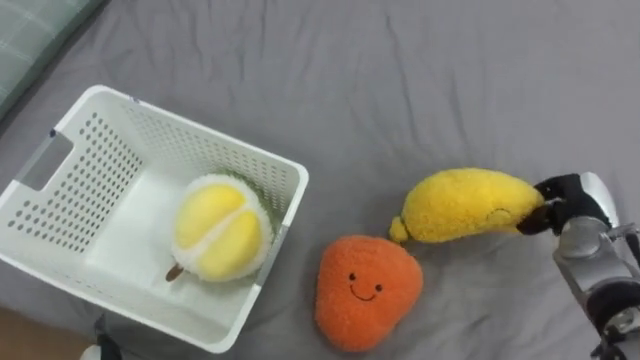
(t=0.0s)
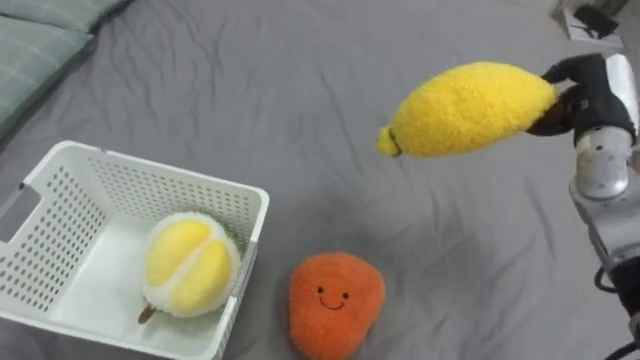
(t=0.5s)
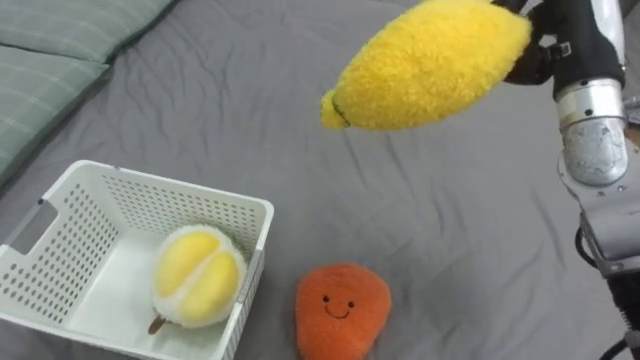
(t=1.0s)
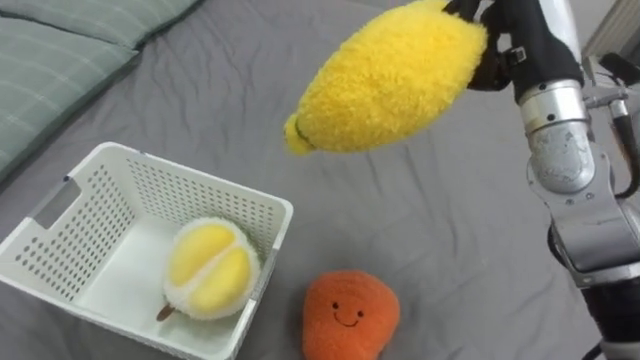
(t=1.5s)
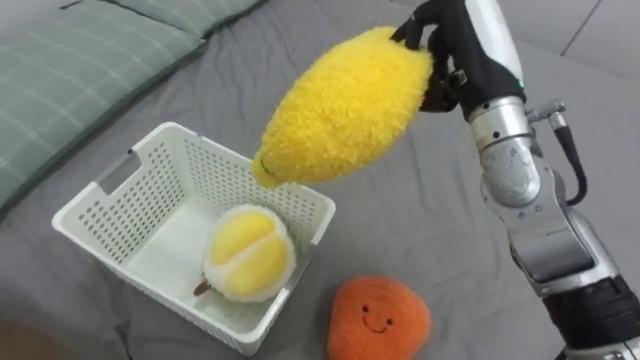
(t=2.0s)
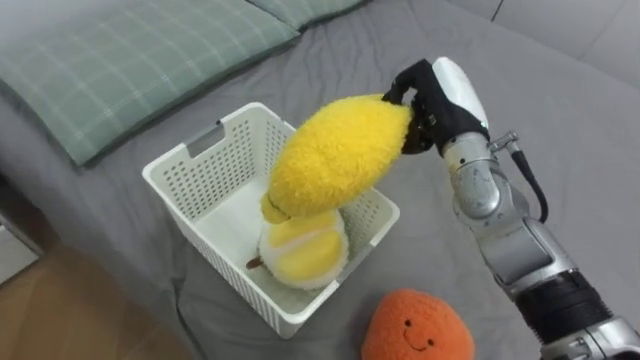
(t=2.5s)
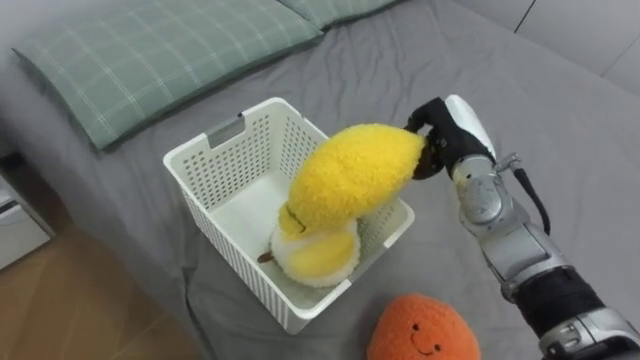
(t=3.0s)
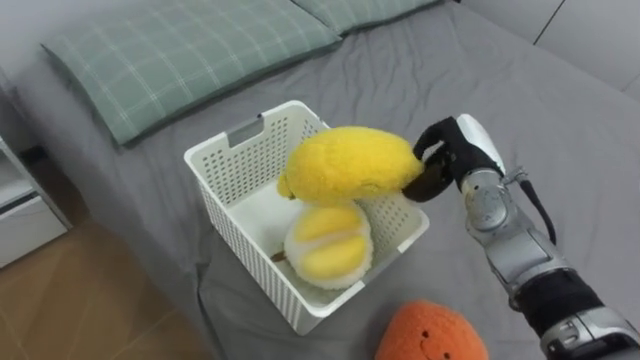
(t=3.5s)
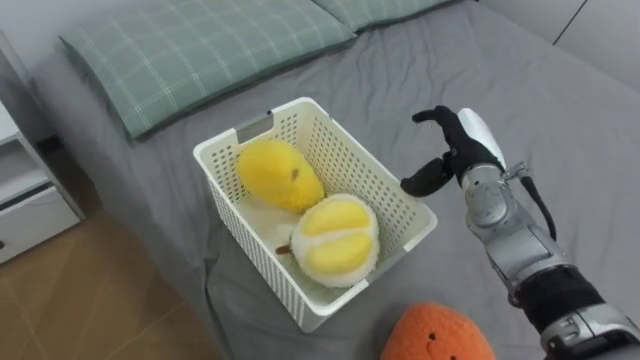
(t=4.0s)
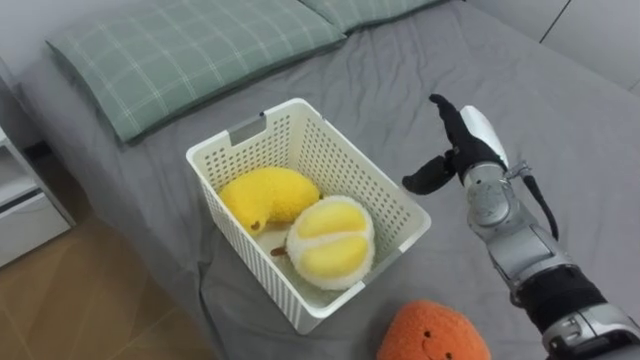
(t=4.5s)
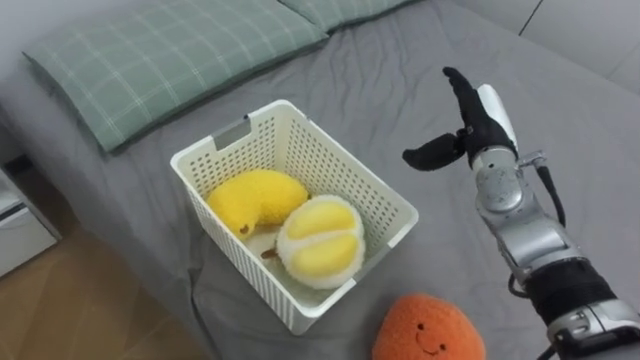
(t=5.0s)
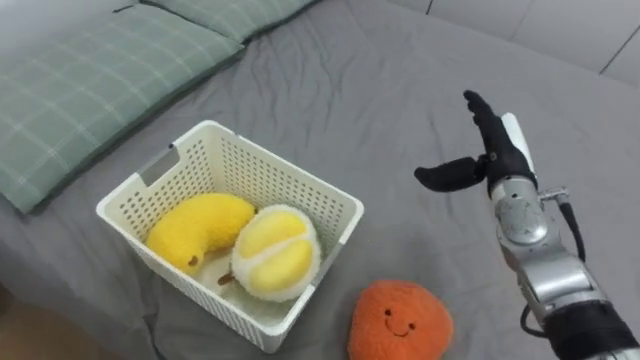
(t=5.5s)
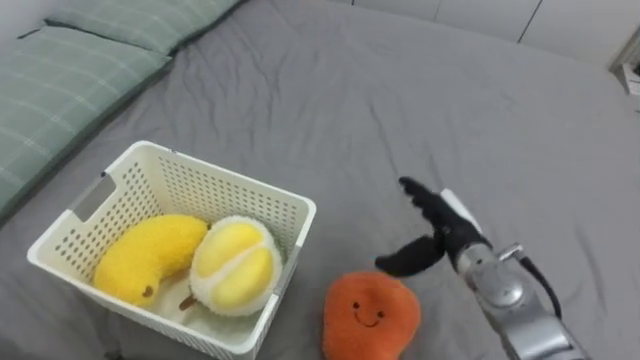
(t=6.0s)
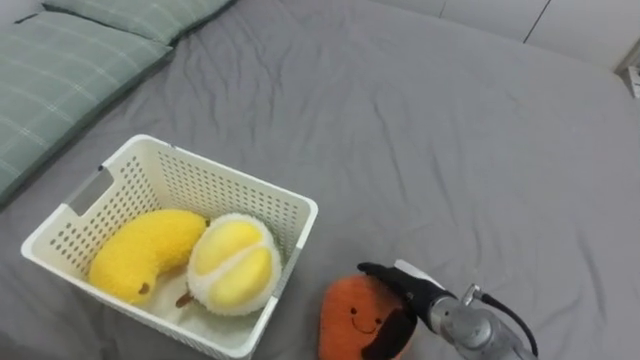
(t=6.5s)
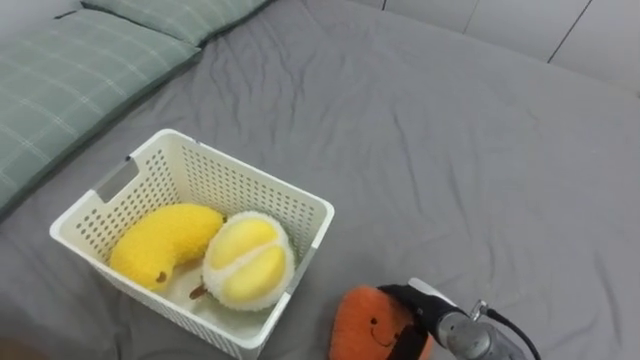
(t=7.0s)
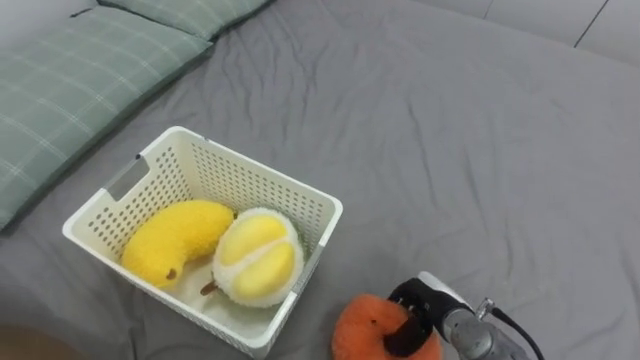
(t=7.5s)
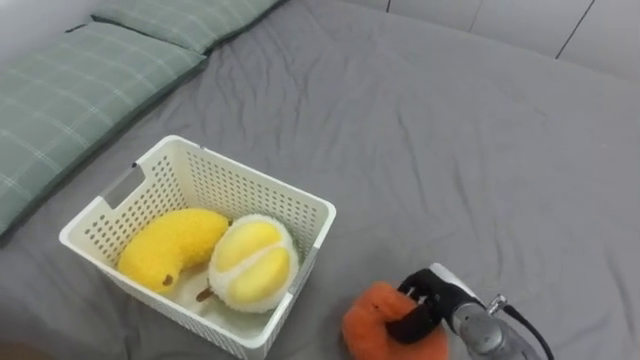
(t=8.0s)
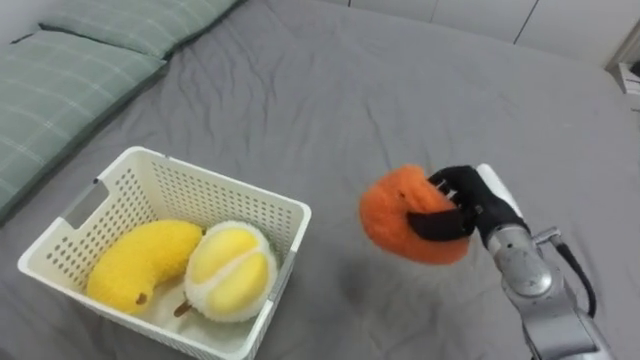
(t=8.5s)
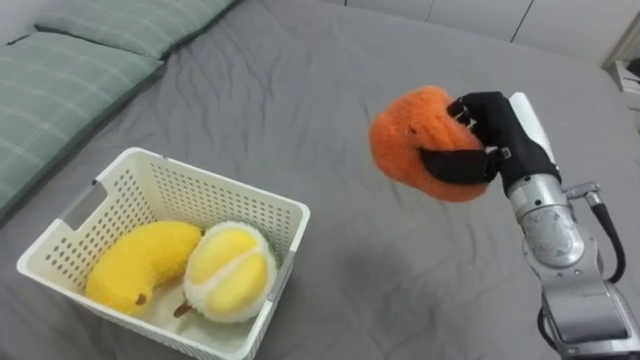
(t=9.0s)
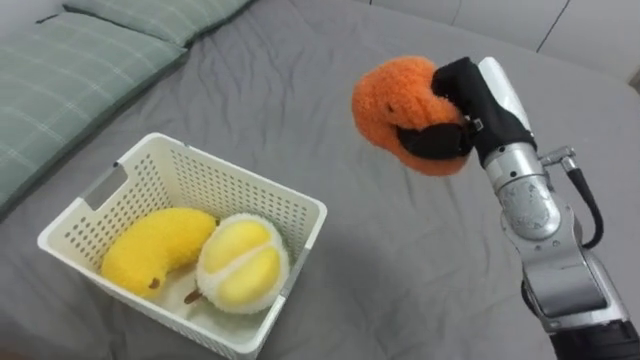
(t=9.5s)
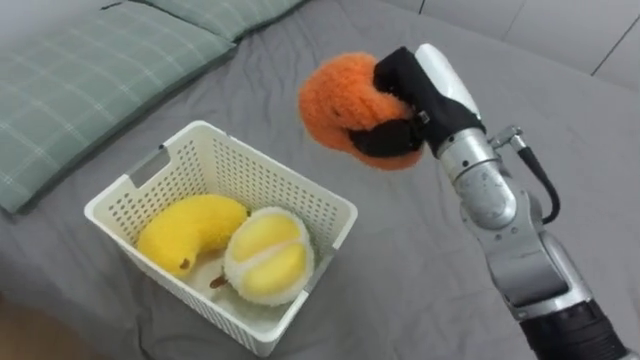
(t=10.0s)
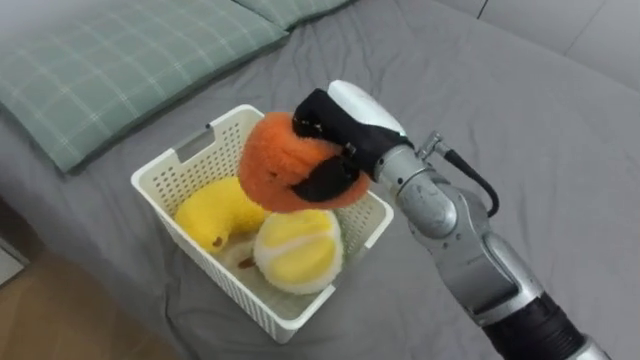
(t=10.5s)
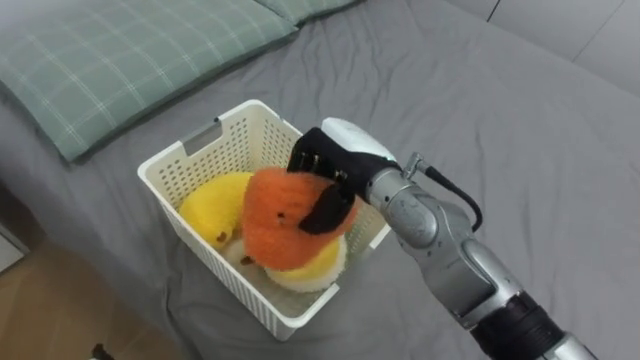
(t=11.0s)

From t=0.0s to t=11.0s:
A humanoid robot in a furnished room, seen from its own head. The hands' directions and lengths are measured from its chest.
Task of the whole recording: Put the toys on the bed into the basket on the left.
From t=0.0s to t=2.0s: The right hand travels upward and to the left by roughly 30 cm.
From t=2.0s to t=3.5s: The right hand travels downward by approximately 15 cm.
From t=3.5s to t=5.5s: The right hand opens up.
From t=5.5s to t=7.5s: The right hand is displaced downward and backward by about 25 cm, and closes its fingers.
From t=7.5s to t=9.0s: The right hand heads upward and forward, covering approximately 25 cm.
From t=9.0s to t=11.0s: The right hand is displaced to the left by roughly 20 cm.

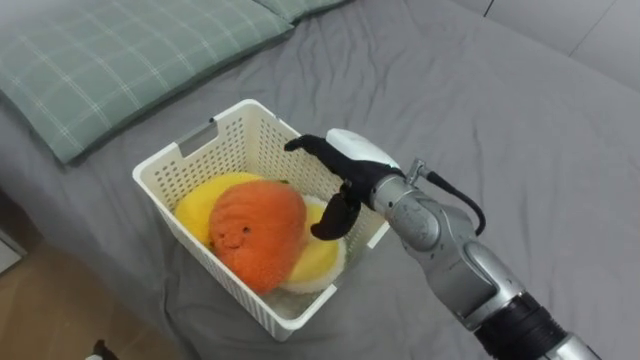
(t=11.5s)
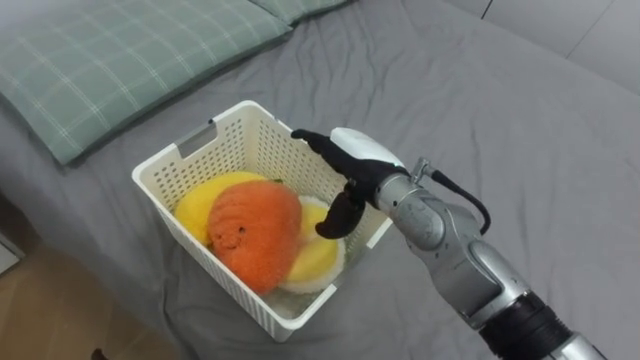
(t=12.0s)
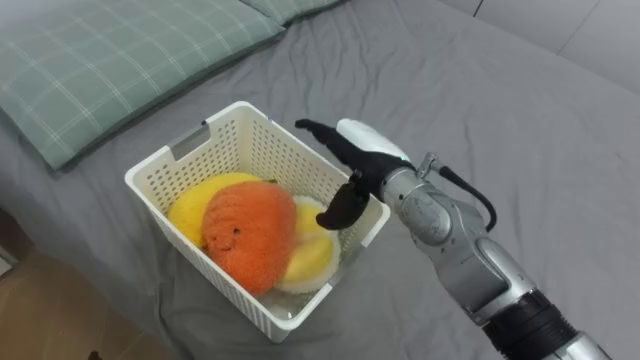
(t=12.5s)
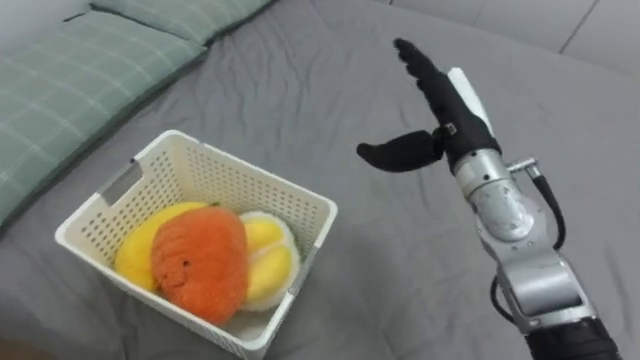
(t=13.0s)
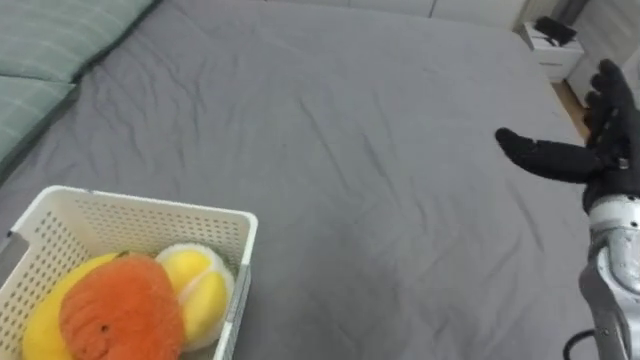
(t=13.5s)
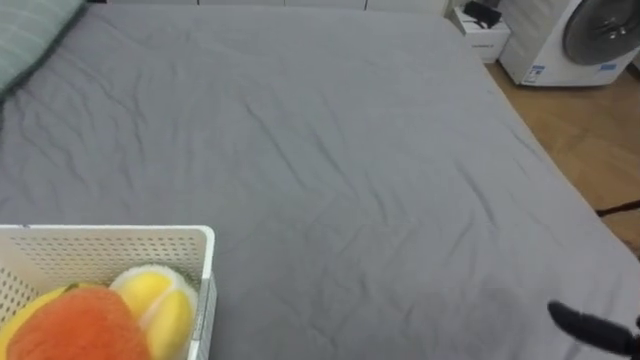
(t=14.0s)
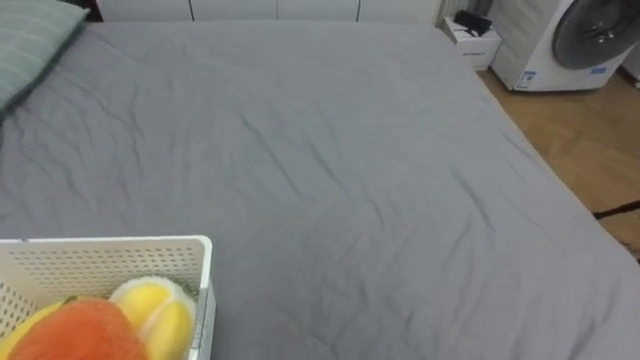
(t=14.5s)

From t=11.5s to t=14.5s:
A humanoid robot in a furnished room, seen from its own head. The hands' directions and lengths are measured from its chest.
Task of the whole recording: Put the toys on the bed into the basket on the left.
From t=11.5s to t=13.0s: The right hand shifts about 10 cm to the right and upward.

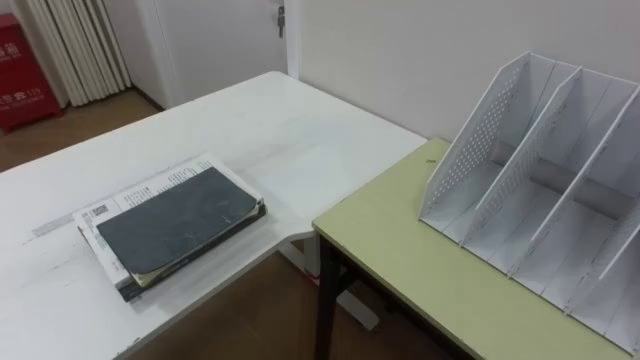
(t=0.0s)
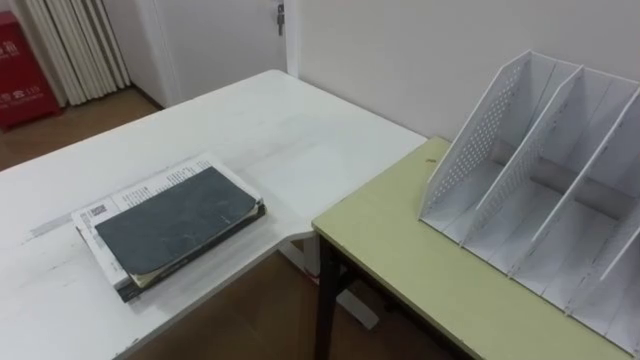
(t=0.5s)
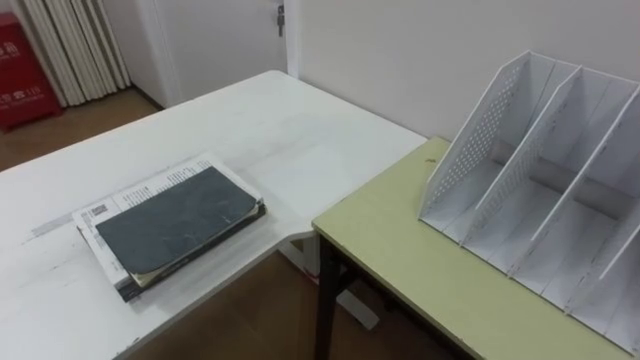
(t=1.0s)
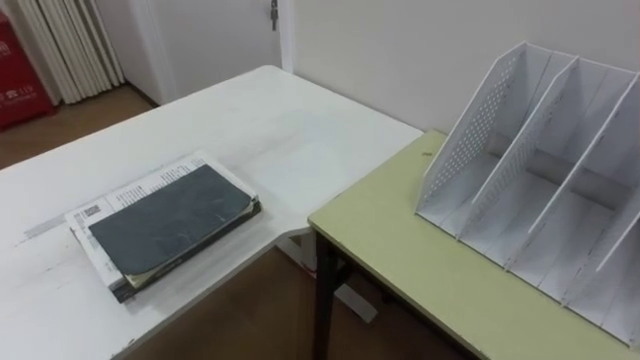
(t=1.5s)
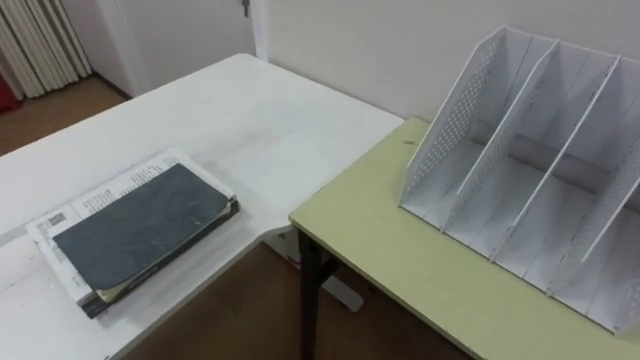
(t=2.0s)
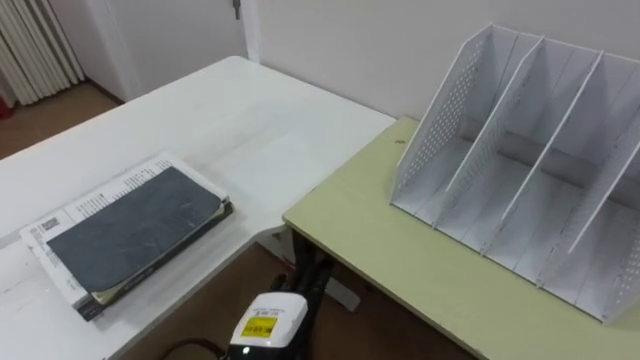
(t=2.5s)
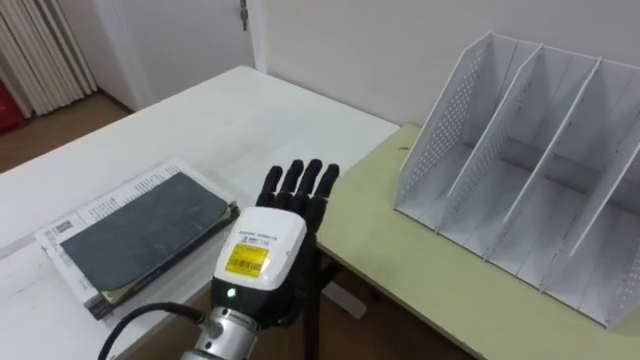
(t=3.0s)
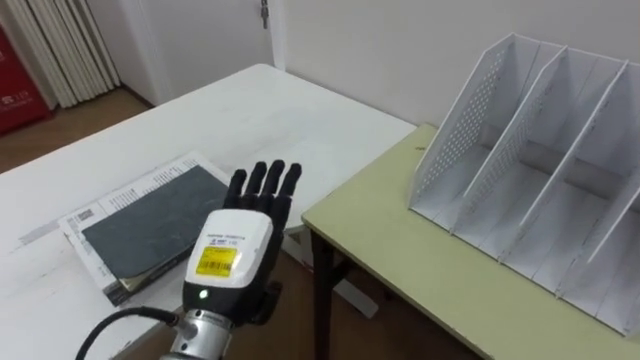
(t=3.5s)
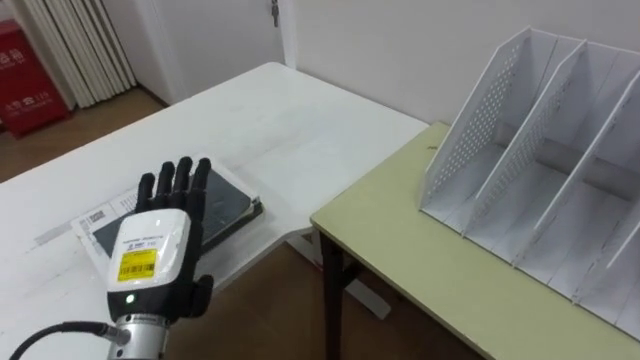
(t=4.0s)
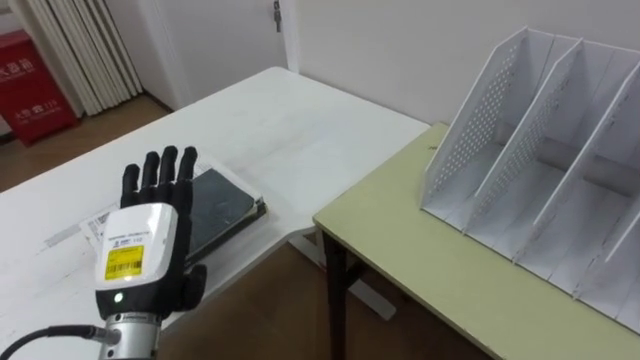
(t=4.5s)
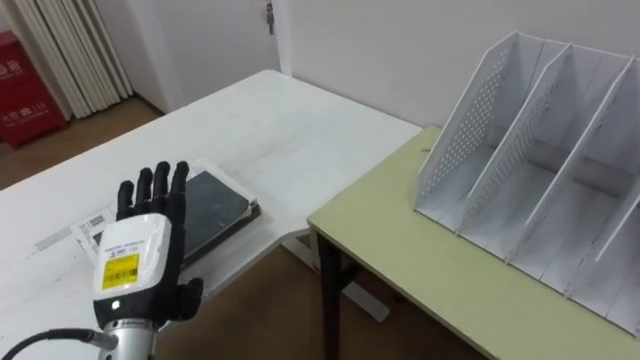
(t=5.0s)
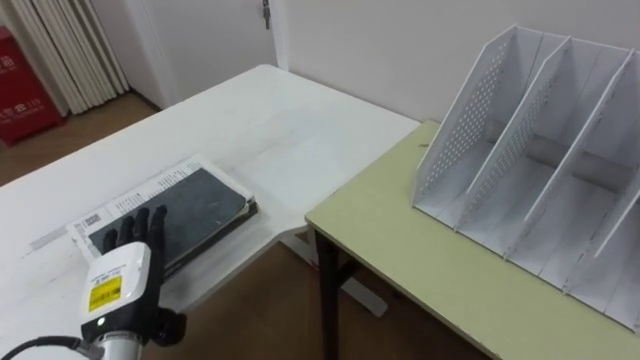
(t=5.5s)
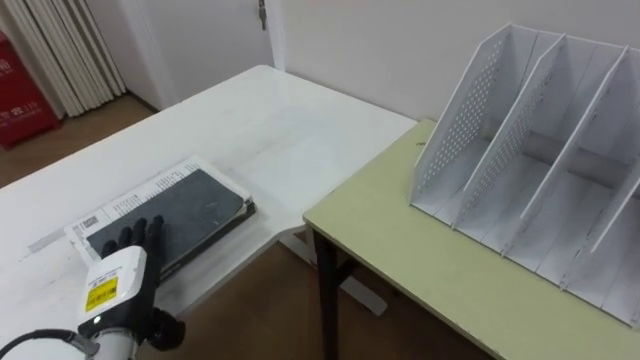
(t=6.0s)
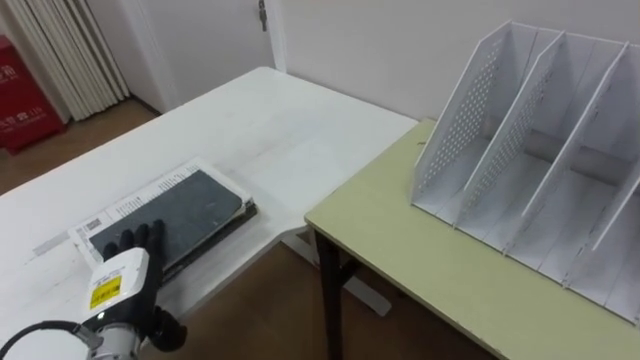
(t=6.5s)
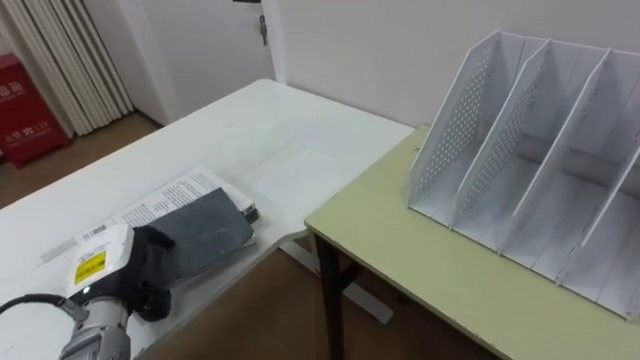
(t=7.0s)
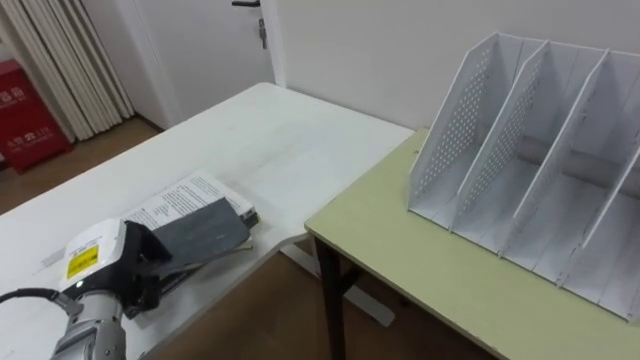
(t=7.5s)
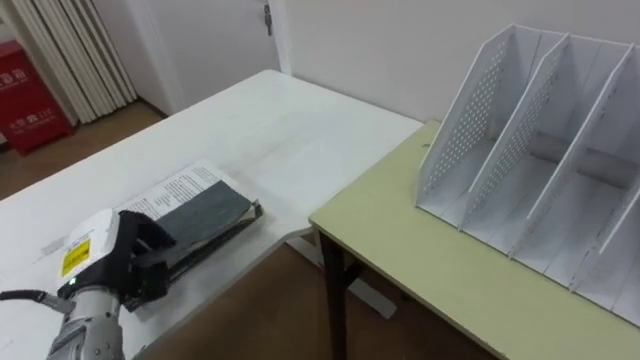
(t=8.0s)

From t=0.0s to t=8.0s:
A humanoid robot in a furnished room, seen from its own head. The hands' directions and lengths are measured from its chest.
Task of the whole recording: Put the books on the table onto the bookshelf.
From t=4.0s to t=6.0s: The left hand goes about 10 cm downward and to the left.
From t=6.0s to t=8.0s: The left hand closes up.
